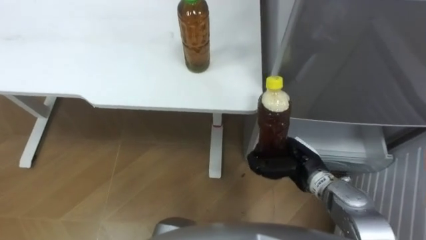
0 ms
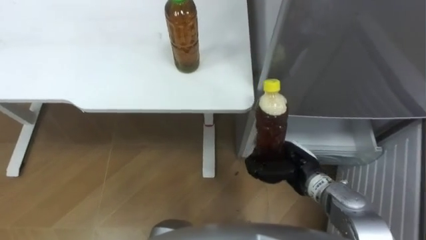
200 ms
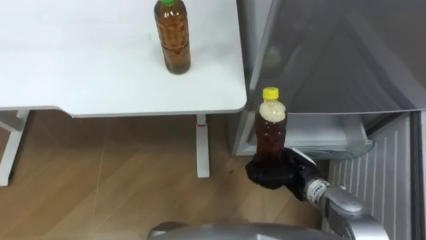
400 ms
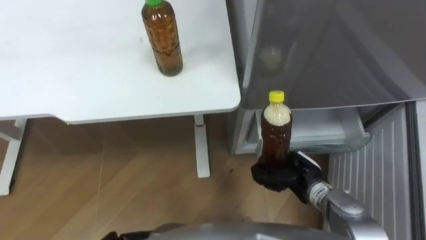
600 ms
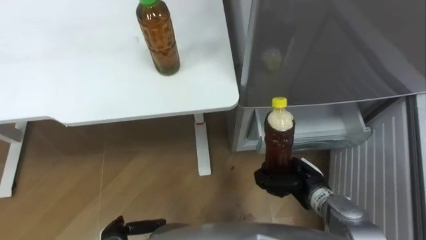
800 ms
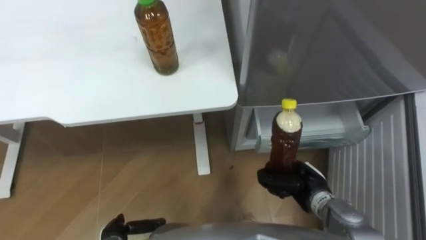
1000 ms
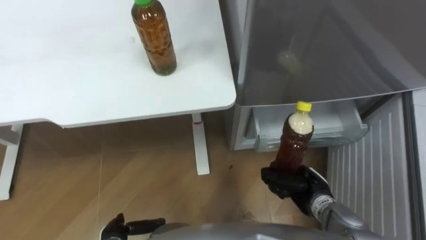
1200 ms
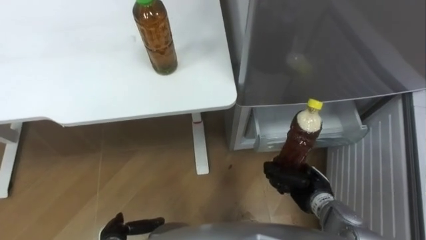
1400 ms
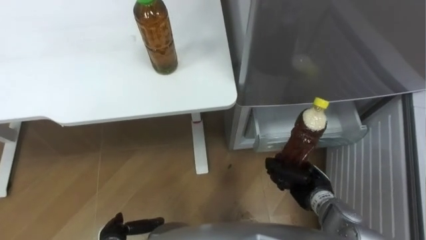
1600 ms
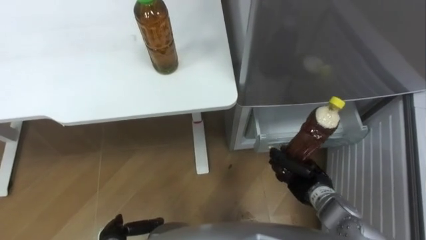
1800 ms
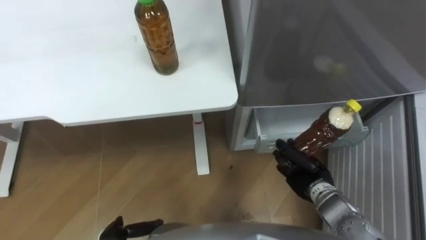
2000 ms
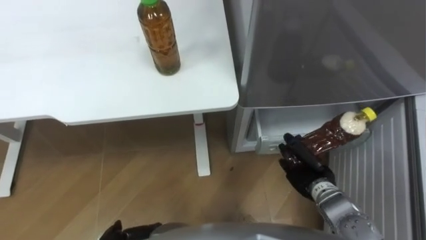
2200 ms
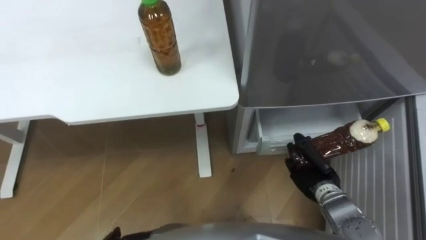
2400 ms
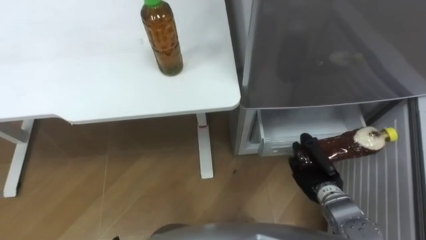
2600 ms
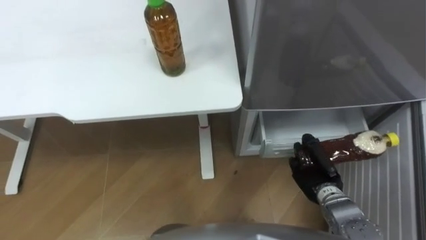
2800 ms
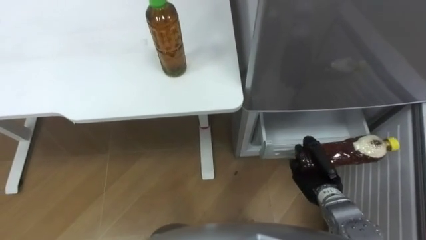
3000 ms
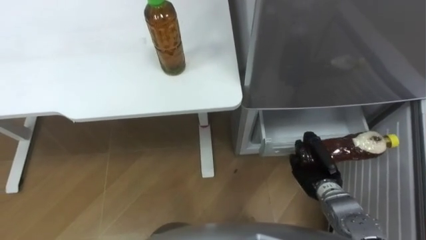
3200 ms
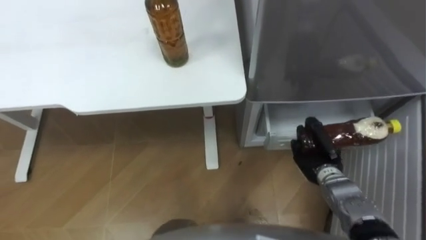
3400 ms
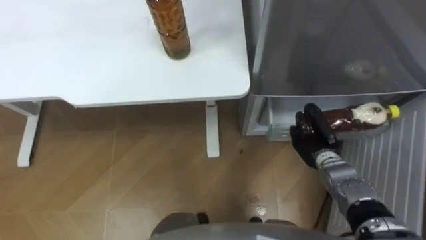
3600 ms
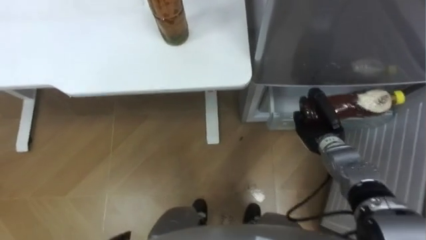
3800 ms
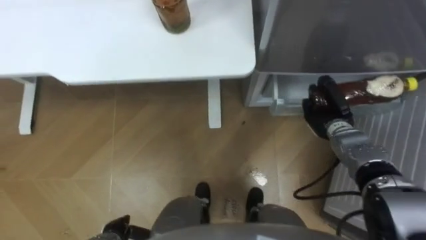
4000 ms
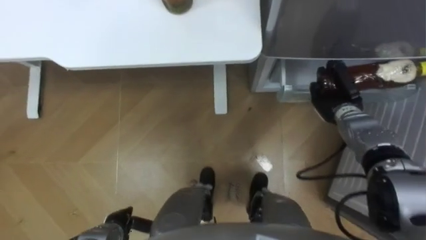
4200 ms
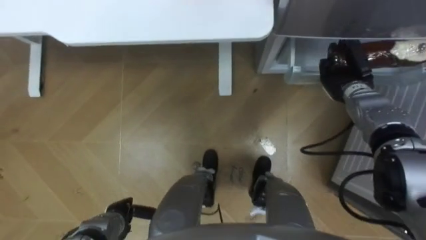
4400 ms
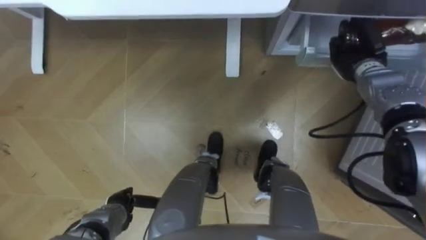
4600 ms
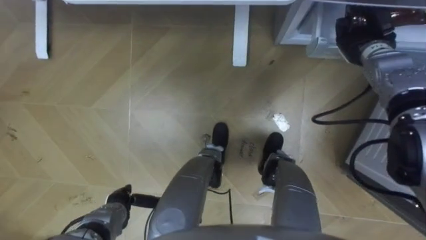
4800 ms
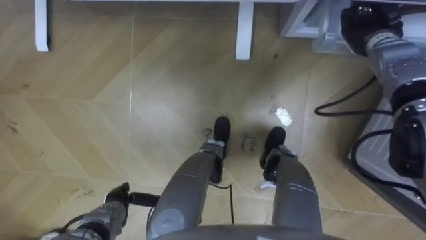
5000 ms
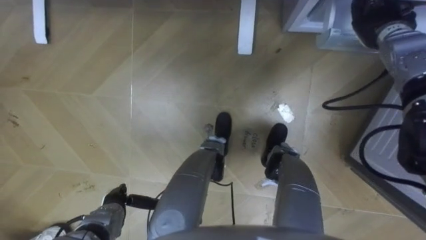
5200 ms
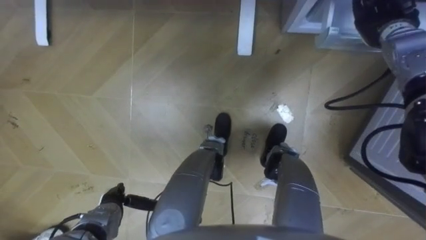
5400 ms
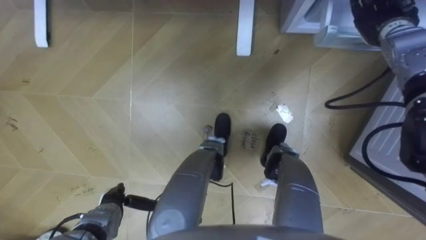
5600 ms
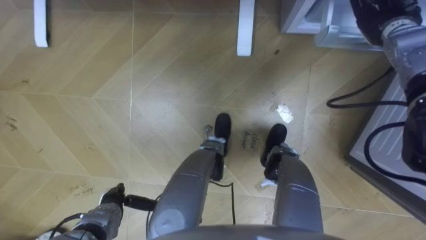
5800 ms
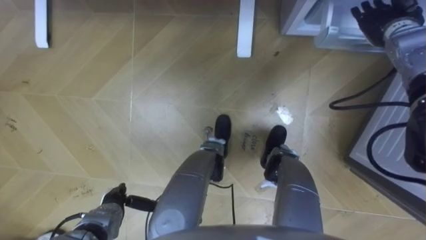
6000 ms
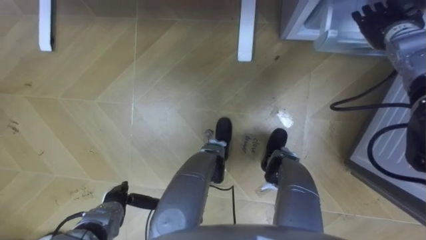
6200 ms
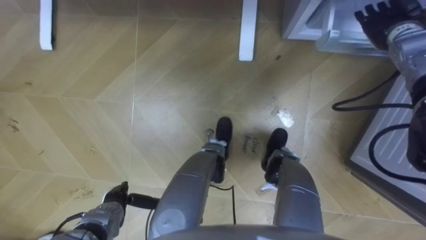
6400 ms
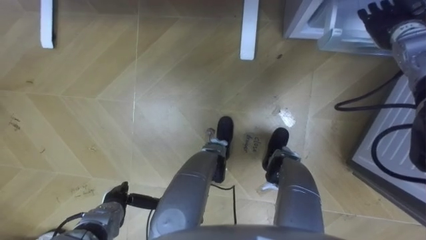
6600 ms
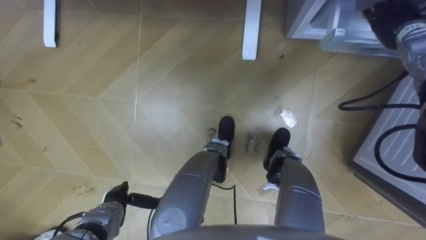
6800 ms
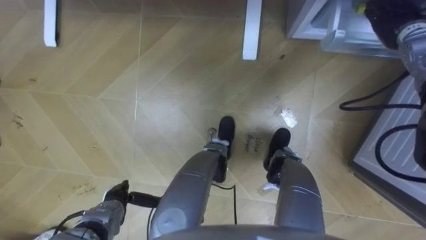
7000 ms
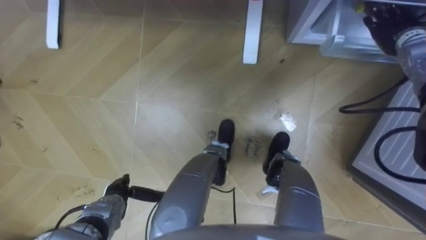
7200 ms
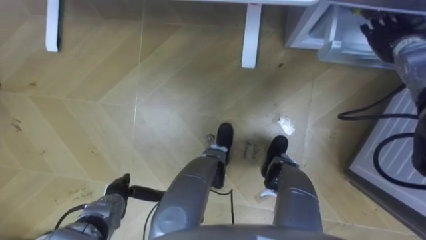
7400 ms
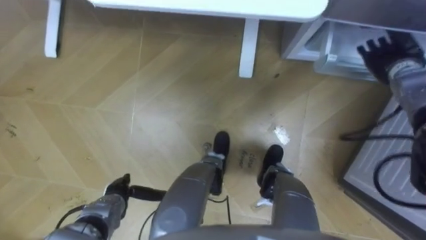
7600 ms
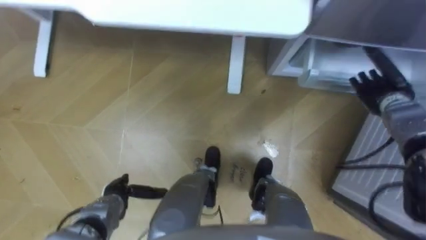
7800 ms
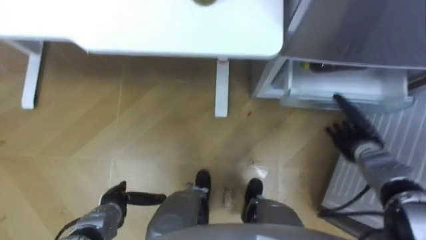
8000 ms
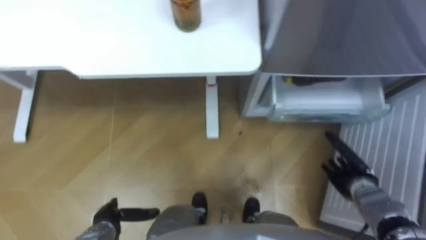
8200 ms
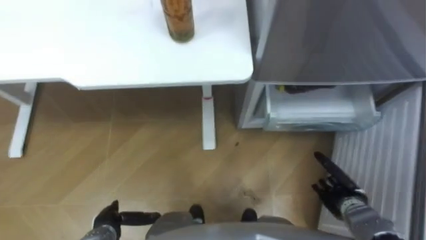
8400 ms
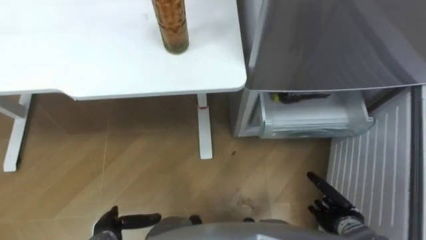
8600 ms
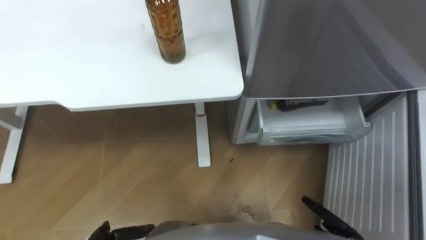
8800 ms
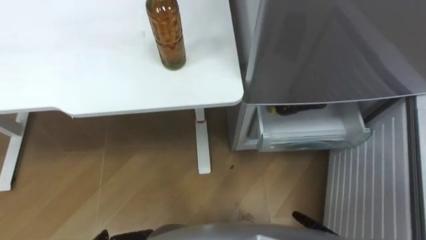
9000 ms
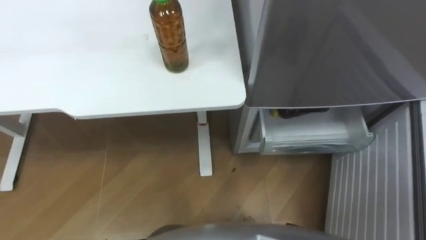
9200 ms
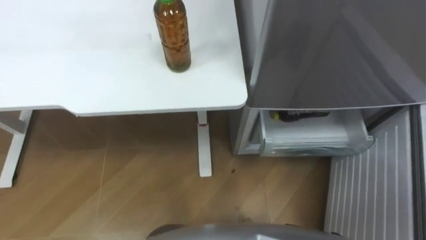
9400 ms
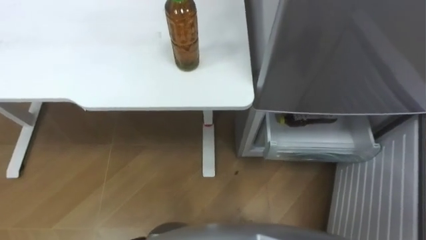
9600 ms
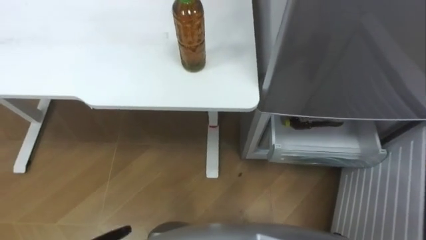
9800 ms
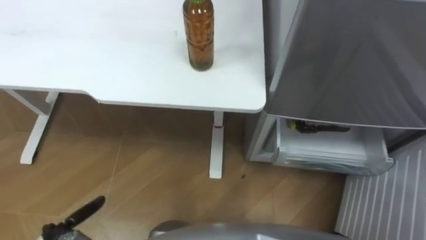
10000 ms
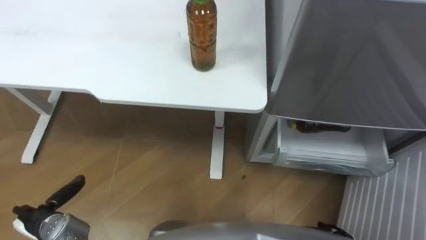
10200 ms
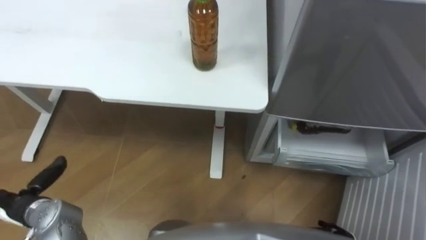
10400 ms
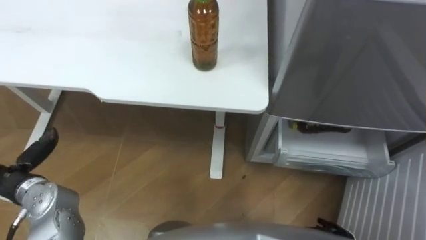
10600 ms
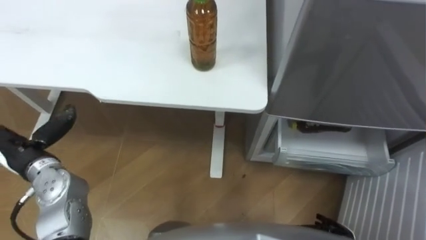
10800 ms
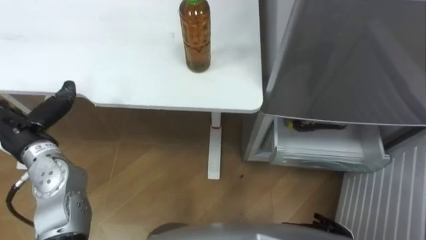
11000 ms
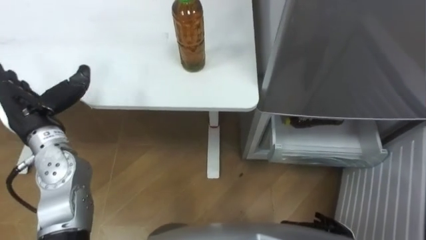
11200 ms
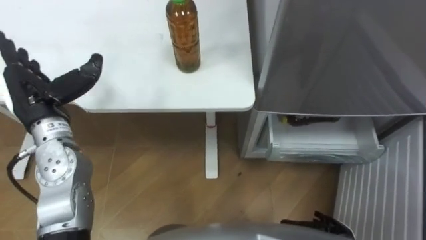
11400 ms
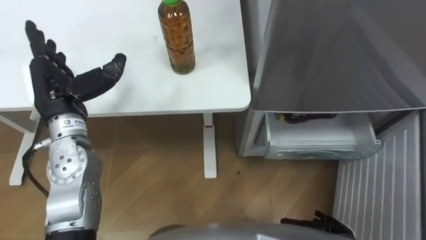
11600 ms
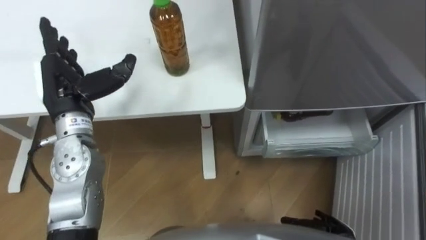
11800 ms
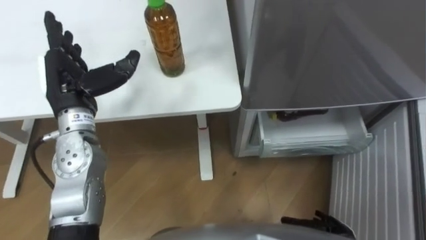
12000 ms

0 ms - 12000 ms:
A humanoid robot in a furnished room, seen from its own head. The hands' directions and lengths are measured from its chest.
Task of the whole recording: Place the drink on the table on the bottom shelf of the refrigerator, then close the drawer and the refrigerator door.
0 ms - 1600 ms: The right hand travels downward by some 5 cm.
3000 ms - 4400 ms: The right hand moves forward and upward, about 20 cm.
4400 ms - 6000 ms: The right hand travels upward and forward by about 15 cm, and opens its fingers.
6000 ms - 7600 ms: The right hand moves downward, approximately 5 cm.
10400 ms - 12000 ms: The left hand travels forward, upward and to the right by some 25 cm.

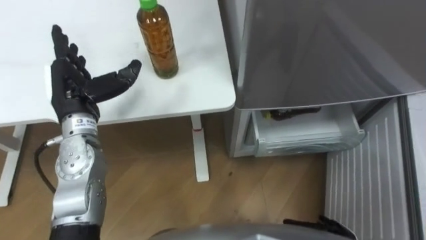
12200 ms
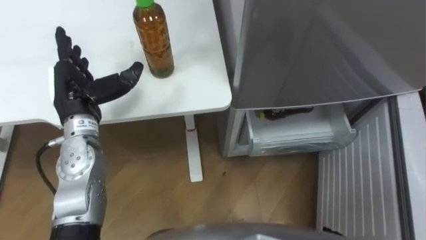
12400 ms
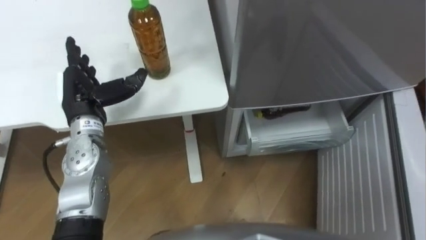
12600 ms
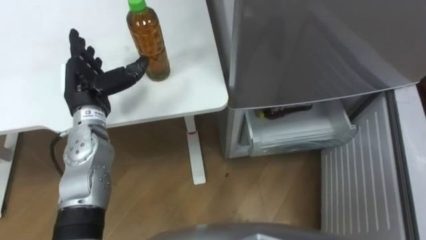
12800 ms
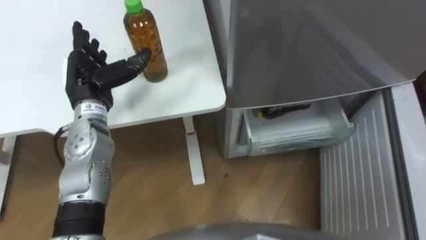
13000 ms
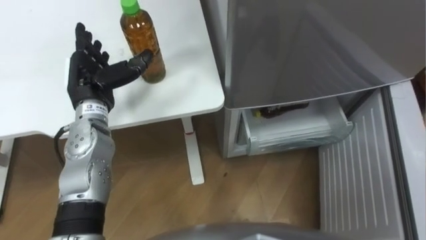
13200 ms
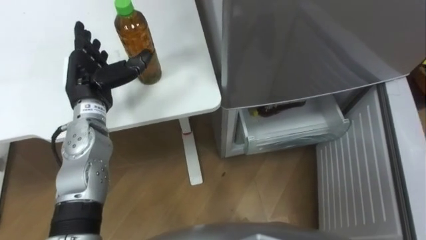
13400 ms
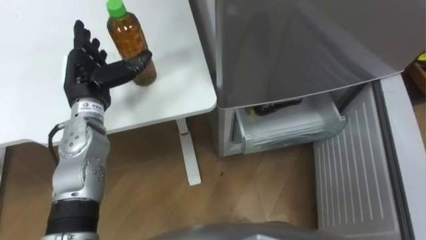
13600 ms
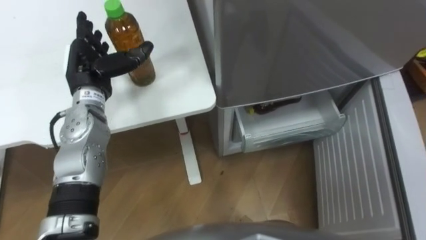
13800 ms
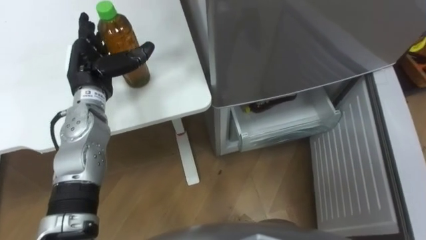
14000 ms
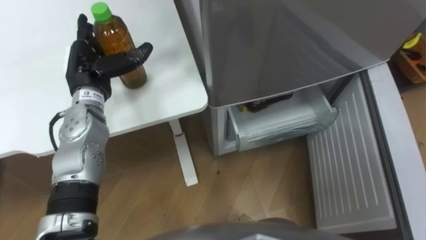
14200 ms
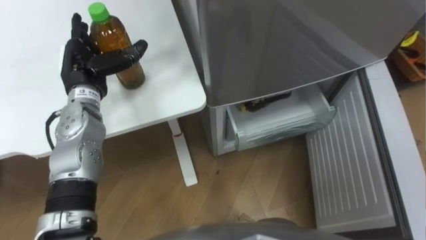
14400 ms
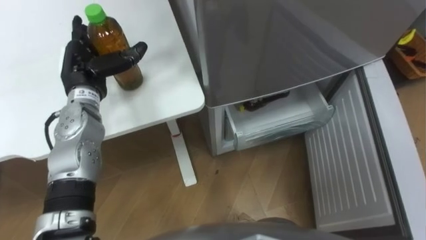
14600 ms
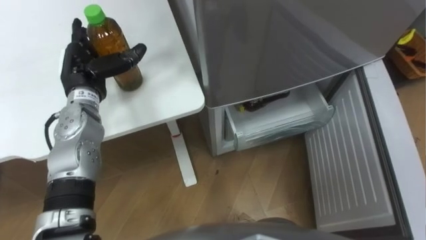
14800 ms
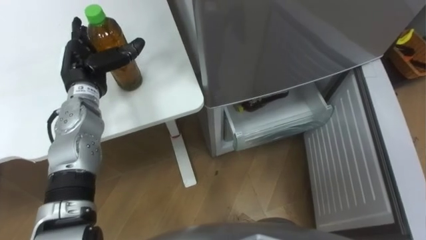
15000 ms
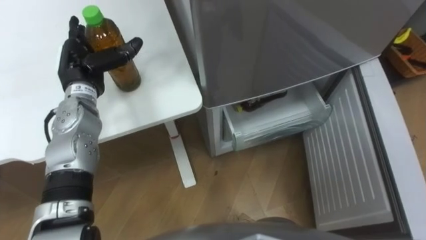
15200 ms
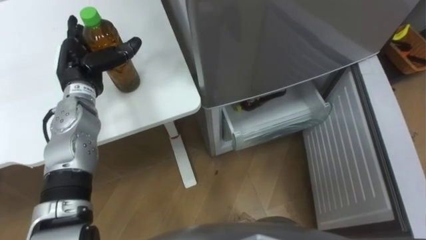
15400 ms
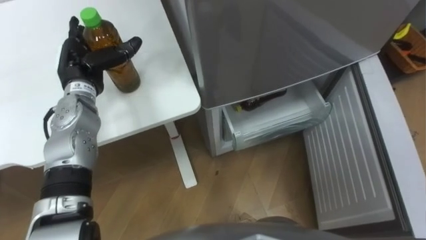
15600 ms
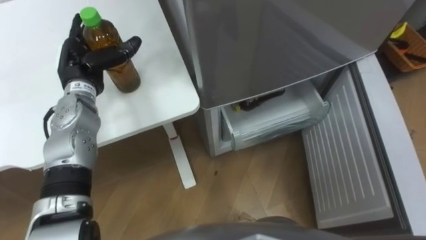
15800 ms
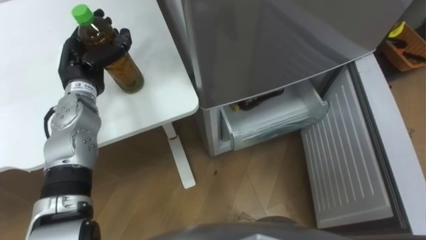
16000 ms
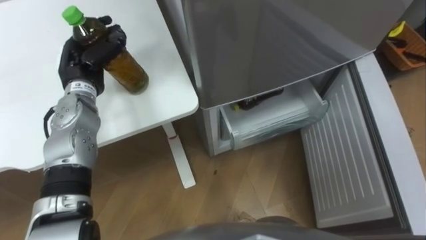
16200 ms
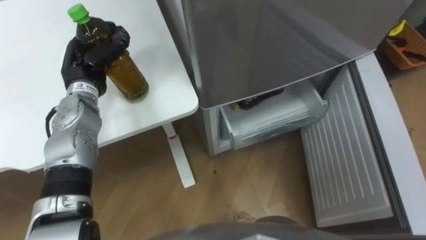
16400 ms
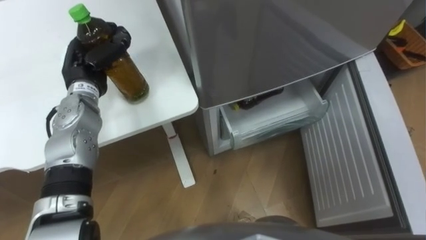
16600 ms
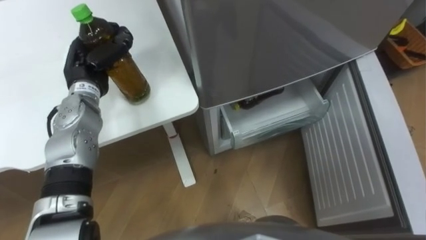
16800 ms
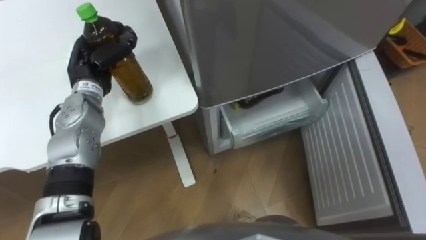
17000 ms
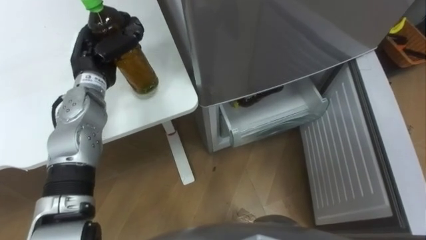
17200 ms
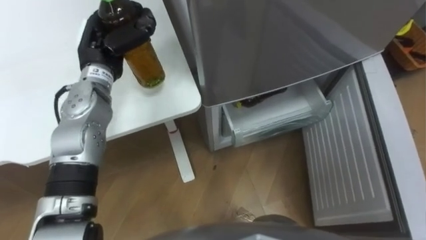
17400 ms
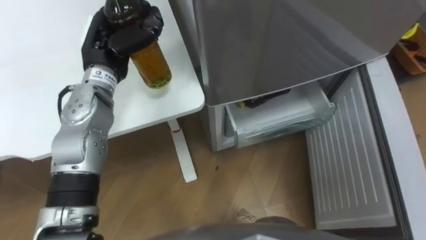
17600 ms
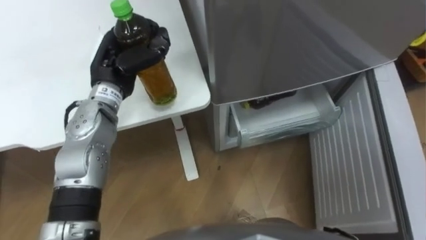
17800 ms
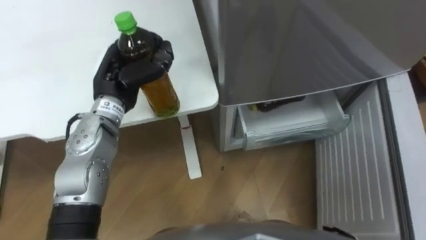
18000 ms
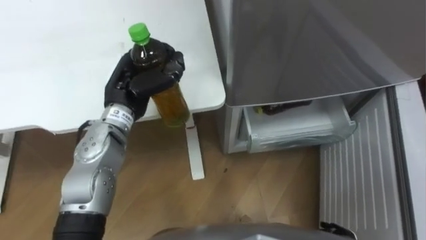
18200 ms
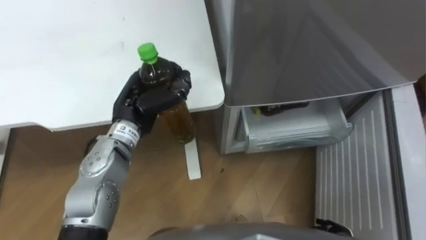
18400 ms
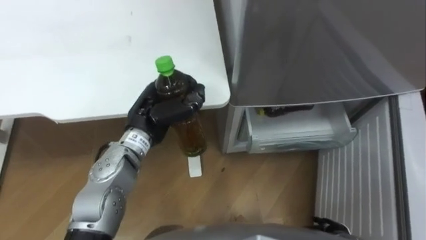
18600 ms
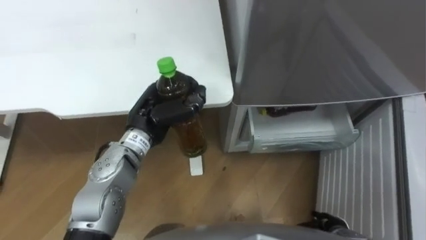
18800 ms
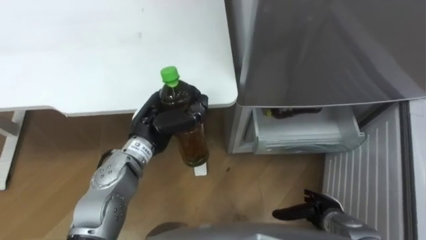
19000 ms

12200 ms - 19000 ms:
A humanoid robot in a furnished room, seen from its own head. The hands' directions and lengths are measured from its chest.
Task of the whole recording: Place the drink on the table on the bottom shelf of the refrigerator, then close the drawer and the refrigerator door.
15000 ms - 16200 ms: The left hand closes its fingers.
16200 ms - 17600 ms: The left hand travels to the right and upward by roughly 10 cm.
17600 ms - 19000 ms: The left hand moves backward, downward and to the right, some 15 cm.
